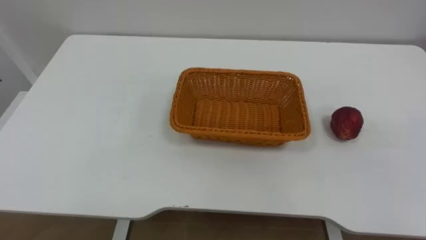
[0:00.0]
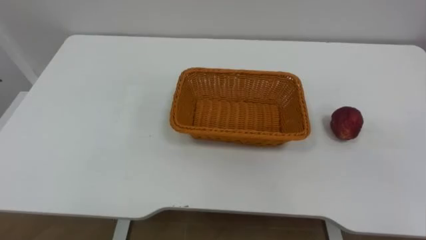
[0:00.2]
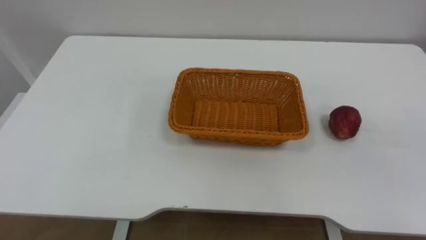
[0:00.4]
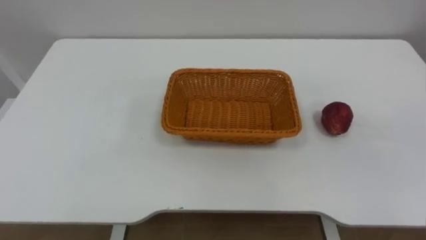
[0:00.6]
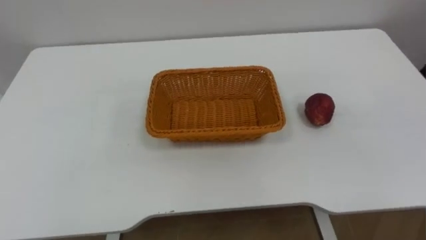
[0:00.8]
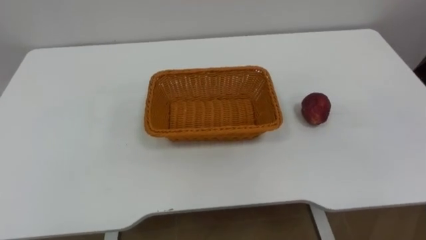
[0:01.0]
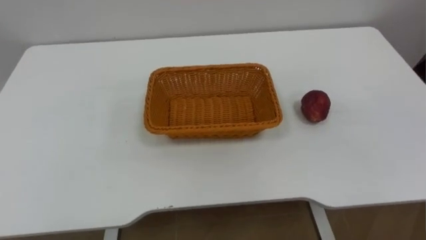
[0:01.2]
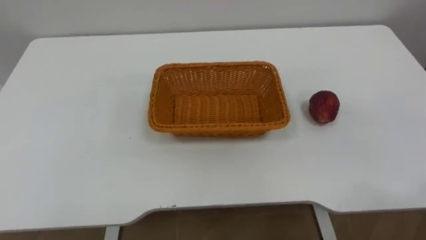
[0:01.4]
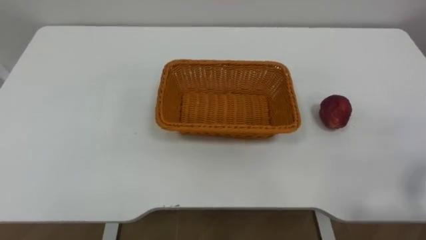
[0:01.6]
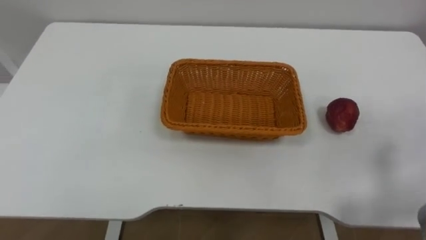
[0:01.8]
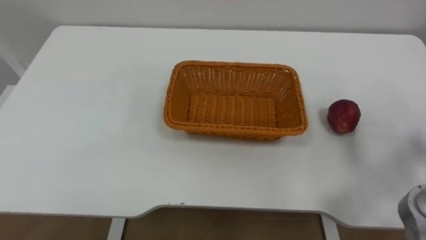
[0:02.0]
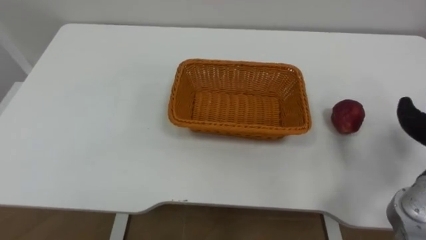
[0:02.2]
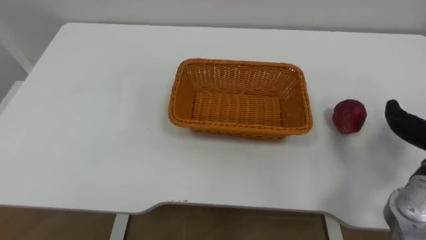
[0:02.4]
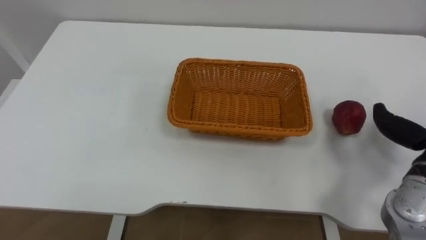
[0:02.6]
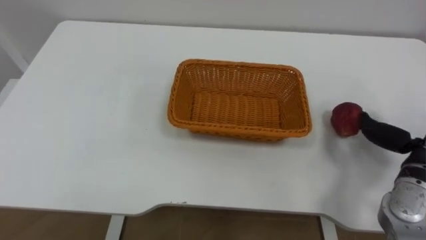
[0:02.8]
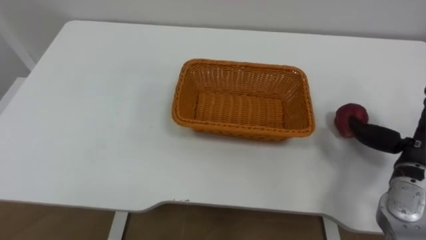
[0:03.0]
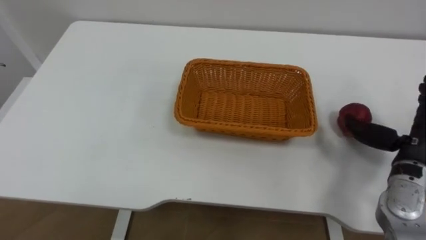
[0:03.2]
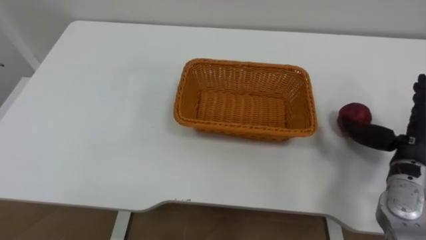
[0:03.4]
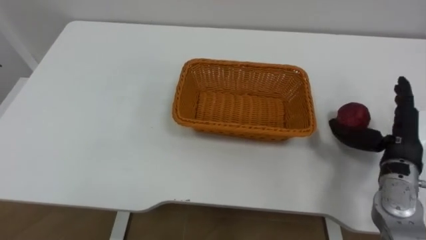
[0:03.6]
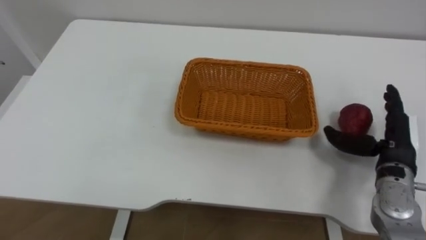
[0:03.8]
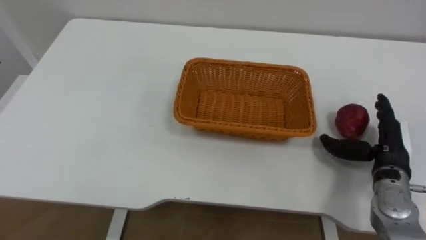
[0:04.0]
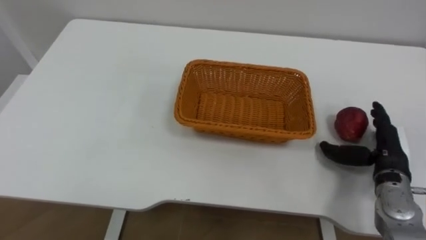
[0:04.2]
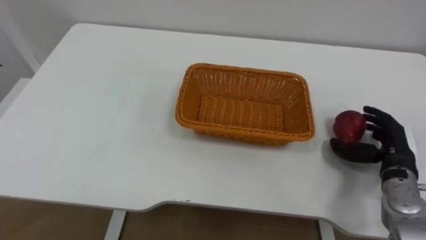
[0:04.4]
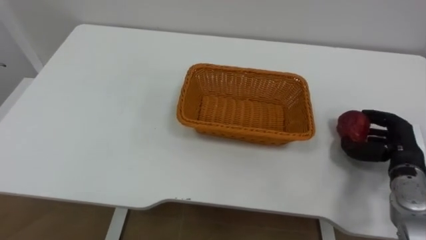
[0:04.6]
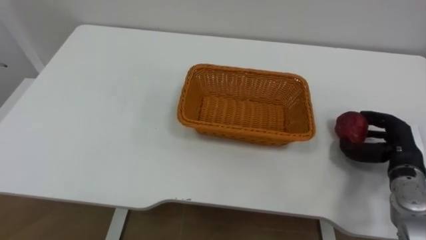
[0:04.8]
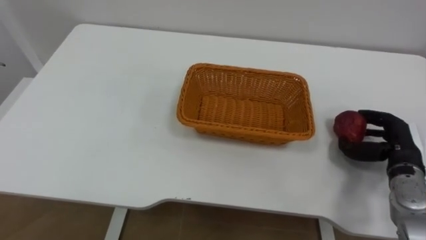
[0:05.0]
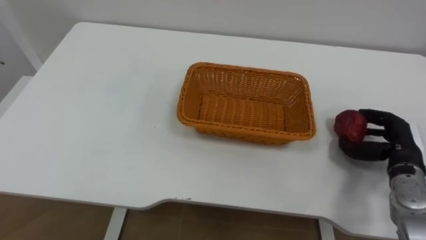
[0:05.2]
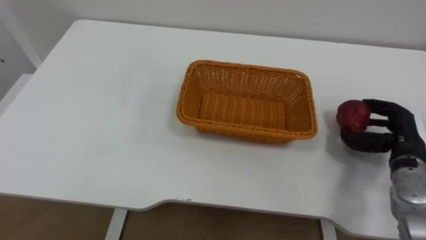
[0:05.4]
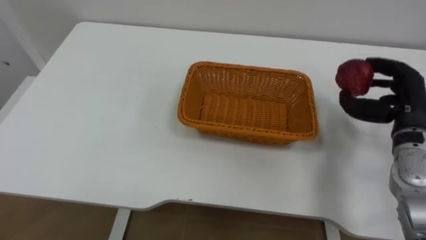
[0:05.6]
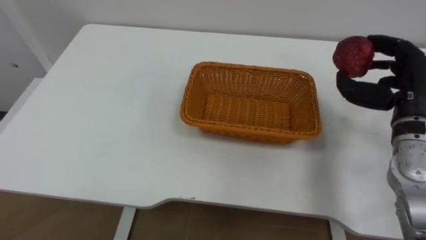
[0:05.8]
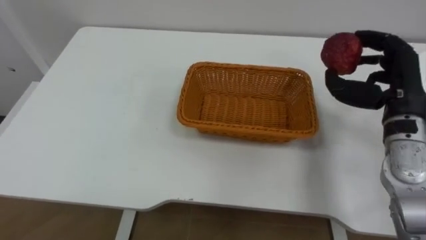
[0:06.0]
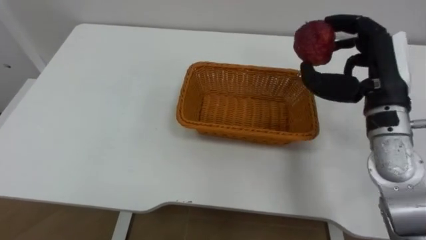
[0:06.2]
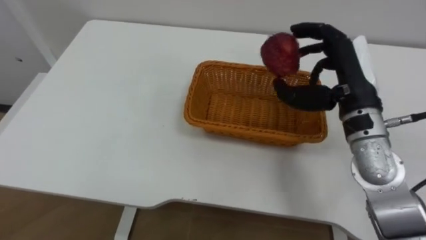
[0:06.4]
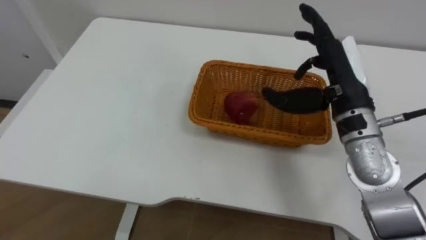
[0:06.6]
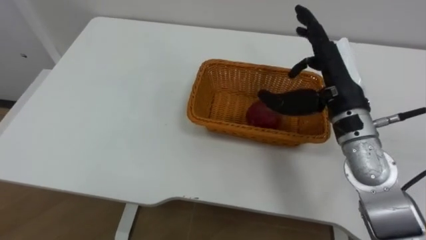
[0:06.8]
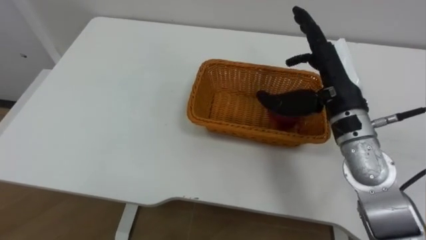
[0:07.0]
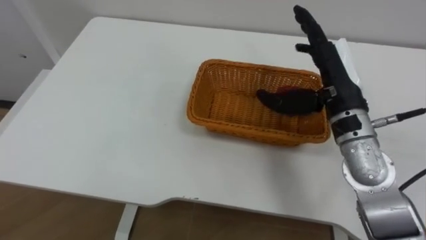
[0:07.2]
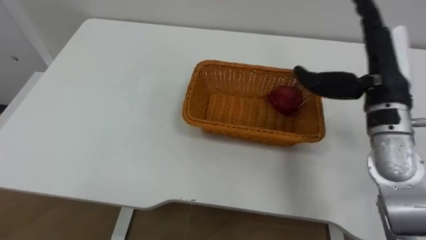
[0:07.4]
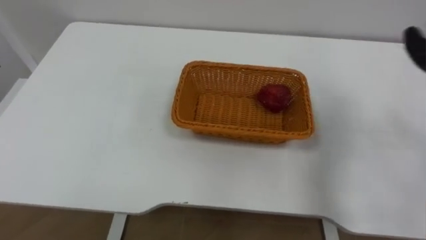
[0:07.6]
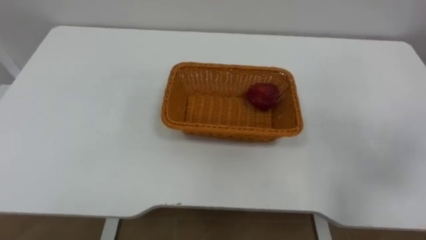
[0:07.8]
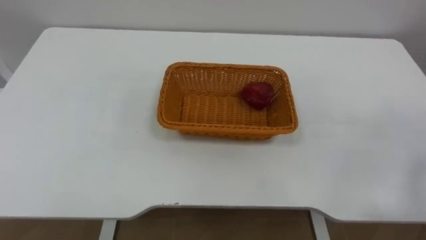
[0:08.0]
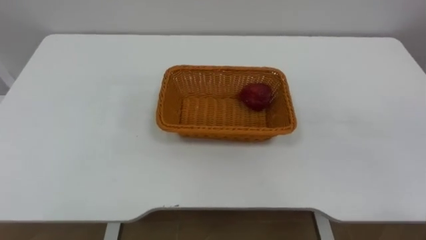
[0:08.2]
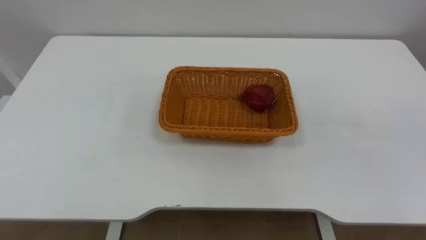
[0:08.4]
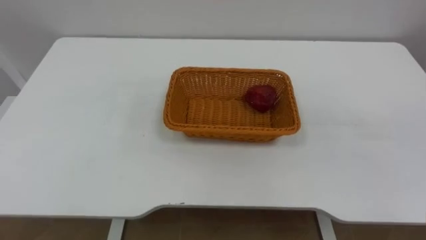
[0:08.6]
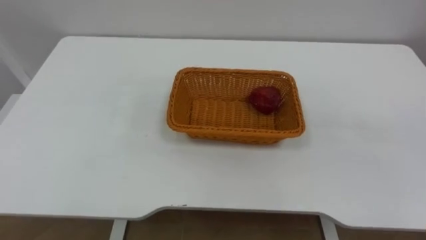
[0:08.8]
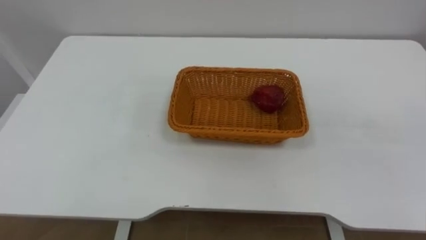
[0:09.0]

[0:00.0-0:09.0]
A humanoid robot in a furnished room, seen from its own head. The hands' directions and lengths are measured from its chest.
Task of the whole recording: Pick the apple and place it in the box.
0:03.0 to 0:04.4: The right hand moves downward, about 5 cm.
0:04.4 to 0:06.0: The right hand shifts some 15 cm upward.

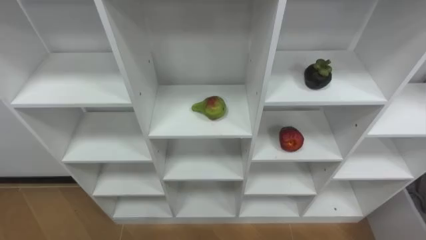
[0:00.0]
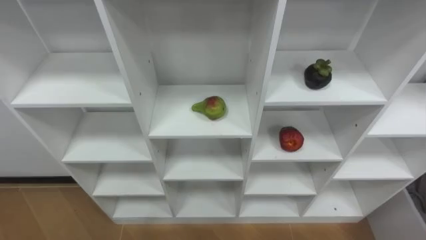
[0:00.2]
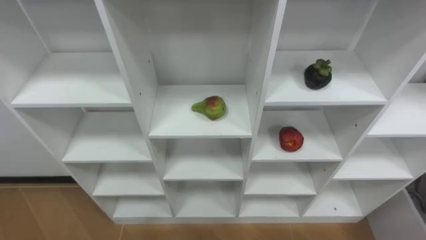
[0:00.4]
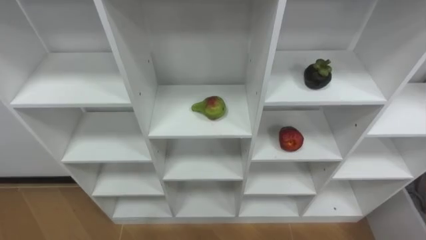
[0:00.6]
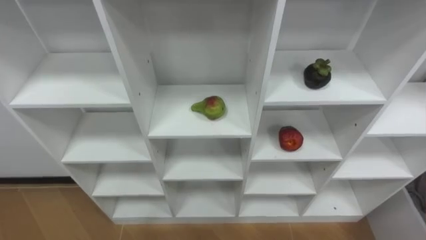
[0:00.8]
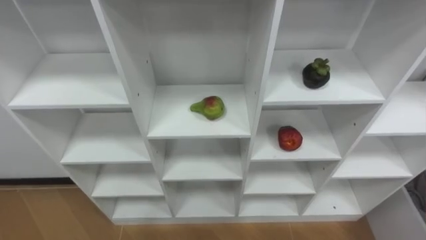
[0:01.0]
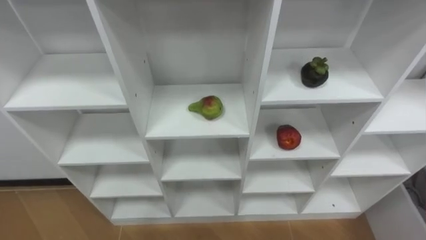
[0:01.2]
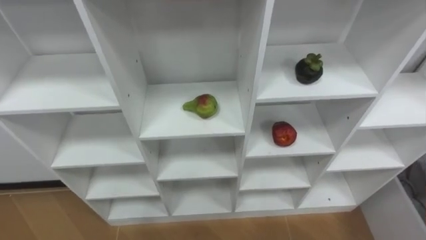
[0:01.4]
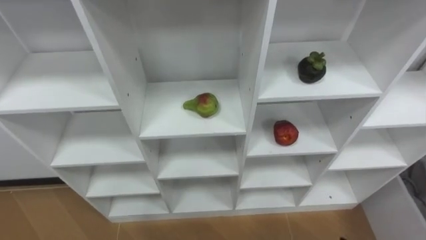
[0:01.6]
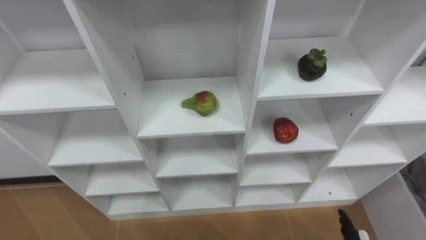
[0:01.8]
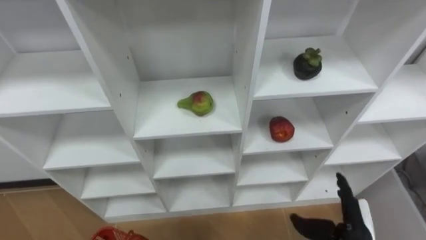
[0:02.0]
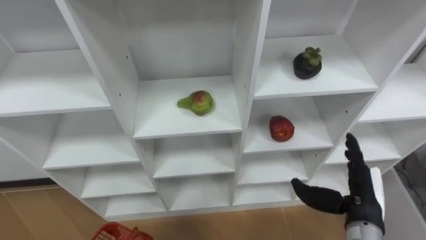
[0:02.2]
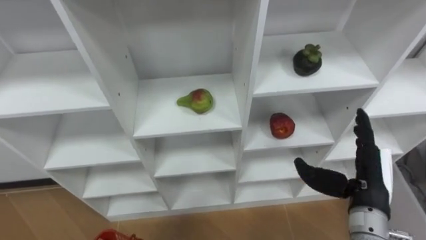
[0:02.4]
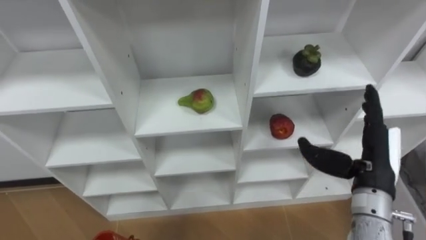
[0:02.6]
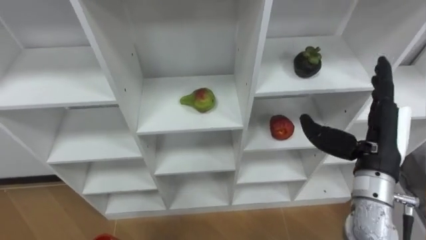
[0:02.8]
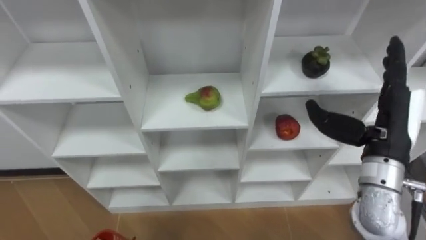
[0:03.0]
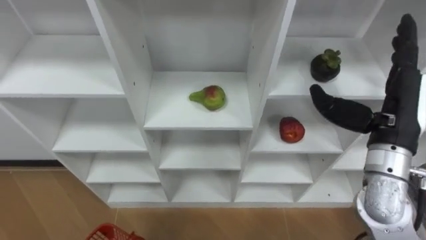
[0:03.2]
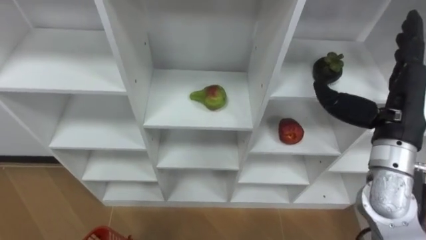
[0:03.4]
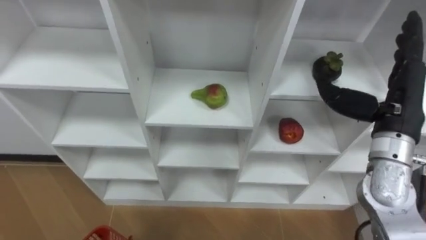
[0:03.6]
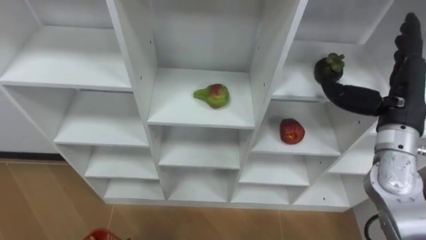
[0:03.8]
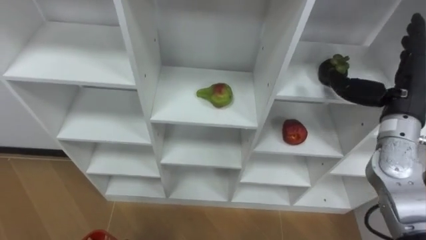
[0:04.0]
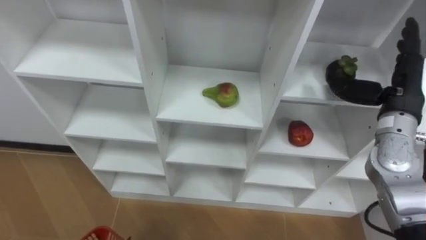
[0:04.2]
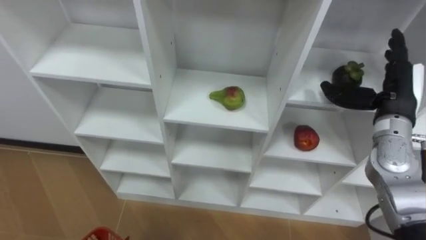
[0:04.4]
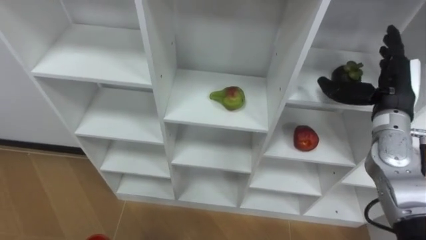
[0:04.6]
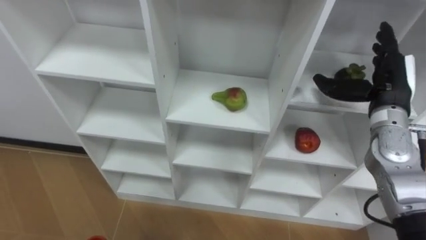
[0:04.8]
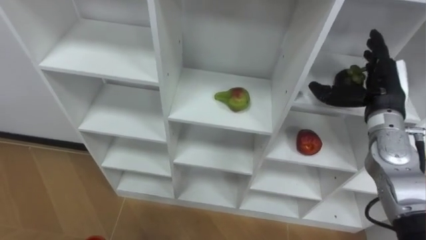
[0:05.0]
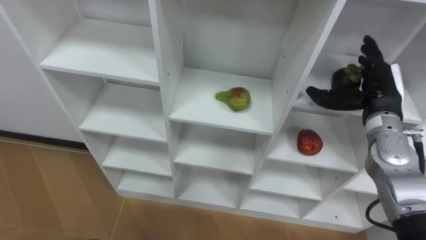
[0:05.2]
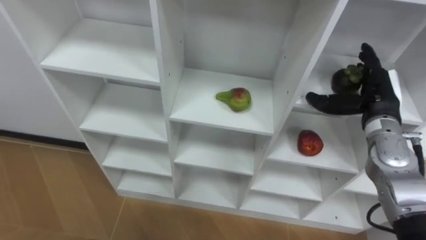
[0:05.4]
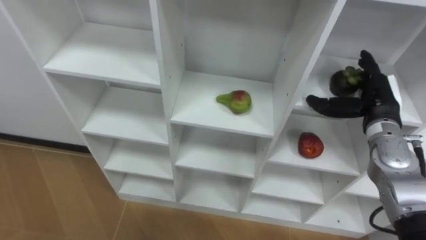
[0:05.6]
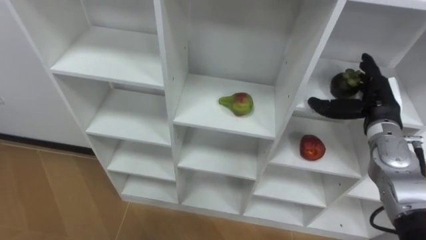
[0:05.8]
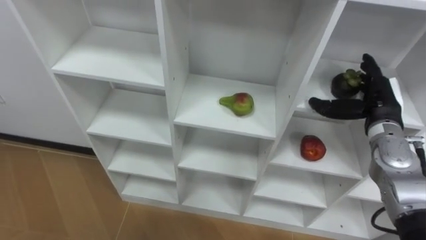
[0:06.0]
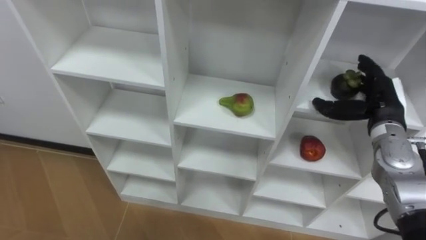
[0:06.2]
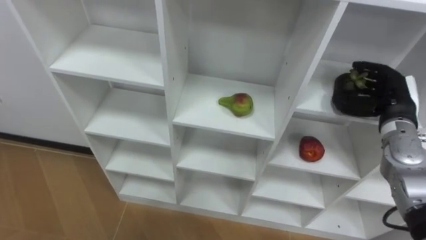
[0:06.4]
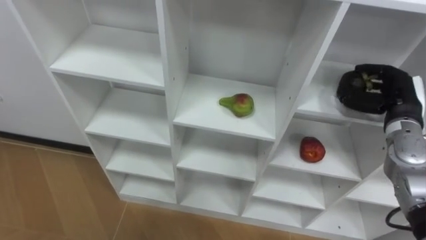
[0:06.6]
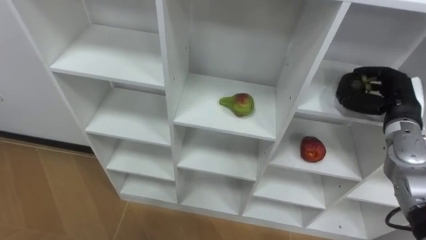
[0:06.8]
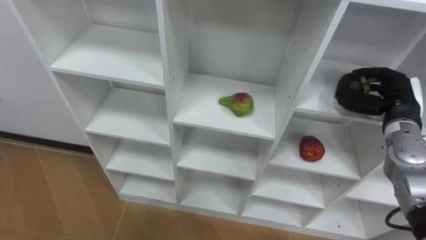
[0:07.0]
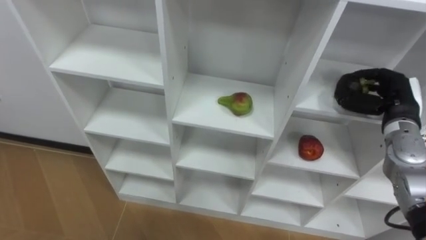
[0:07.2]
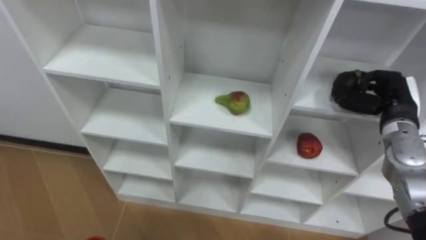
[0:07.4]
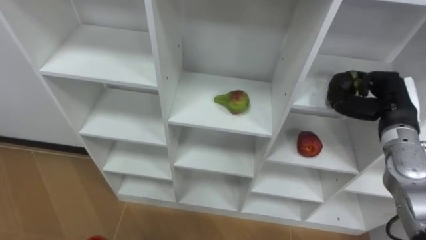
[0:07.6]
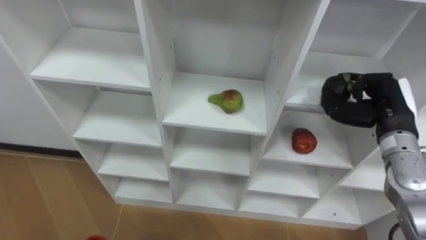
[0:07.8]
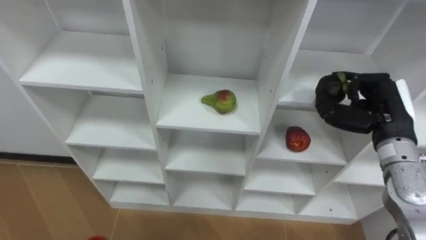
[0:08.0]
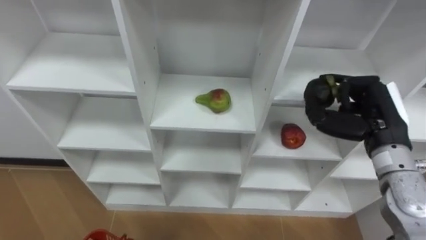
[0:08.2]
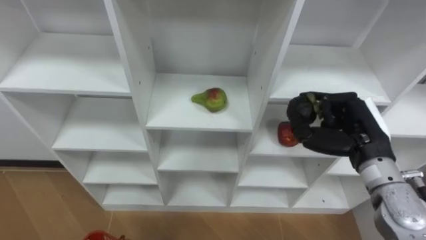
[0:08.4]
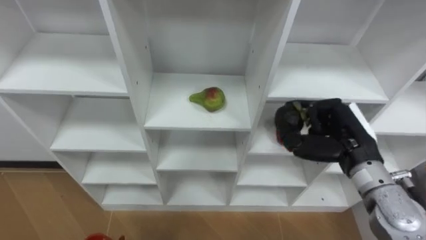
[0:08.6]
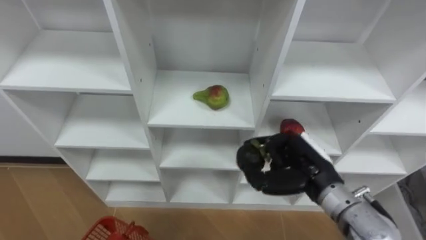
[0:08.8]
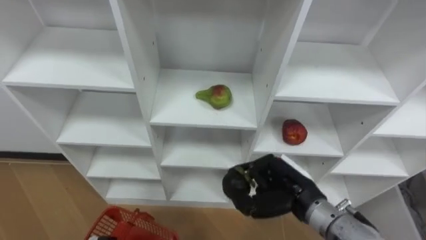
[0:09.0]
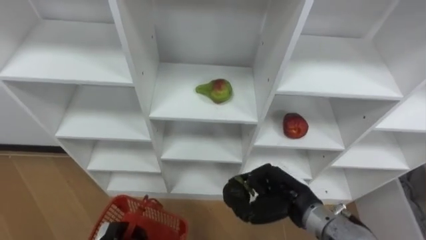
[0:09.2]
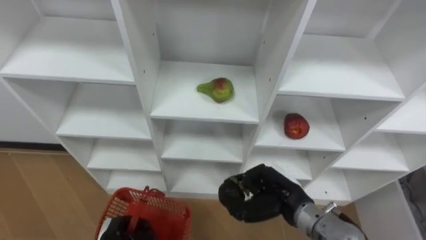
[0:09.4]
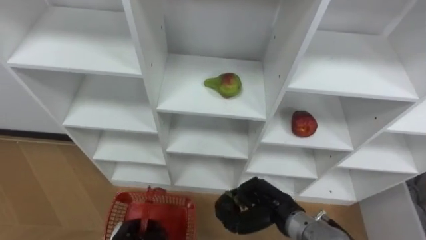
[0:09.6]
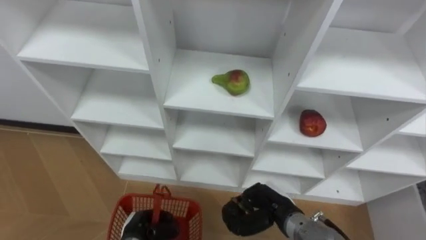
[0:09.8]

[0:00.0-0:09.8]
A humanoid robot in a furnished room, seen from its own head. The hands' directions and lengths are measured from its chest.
Task of the whole recording: Hold the basket and collect the fruits from 3 different cells of the closet into it.
0:02.8 to 0:04.2: The right hand moves forward and to the right, about 10 cm.
0:04.2 to 0:05.6: The right hand travels downward by some 5 cm.
0:05.6 to 0:07.0: The right hand closes up.
0:07.0 to 0:08.4: The right hand heads to the left and backward, covering some 10 cm.
0:08.4 to 0:09.8: The right hand travels downward and to the left by approximately 20 cm.
